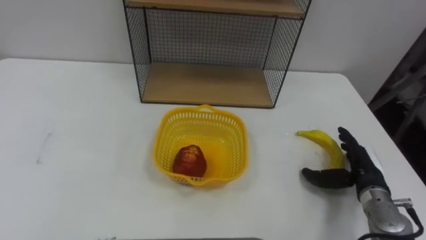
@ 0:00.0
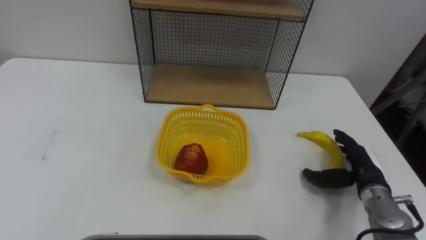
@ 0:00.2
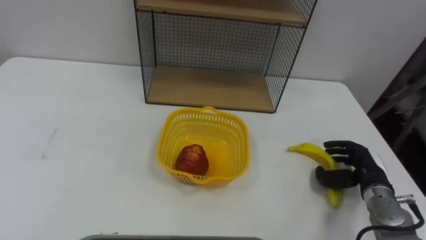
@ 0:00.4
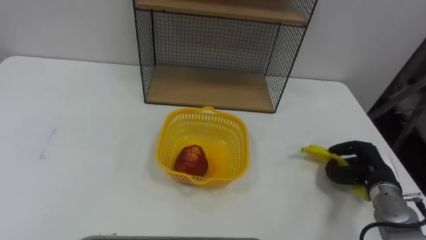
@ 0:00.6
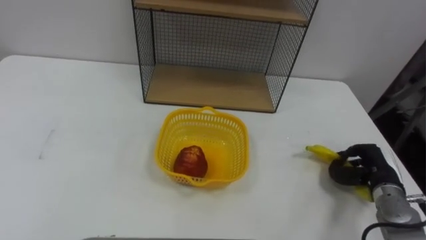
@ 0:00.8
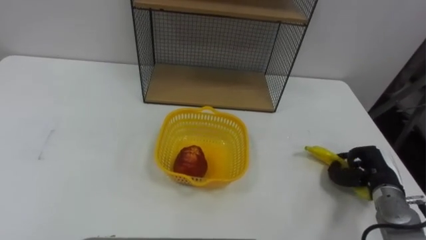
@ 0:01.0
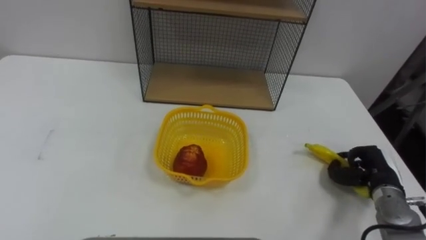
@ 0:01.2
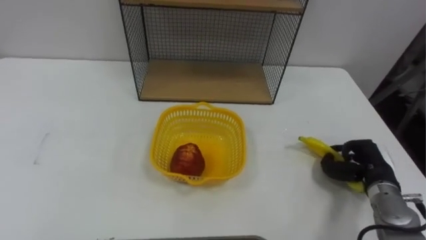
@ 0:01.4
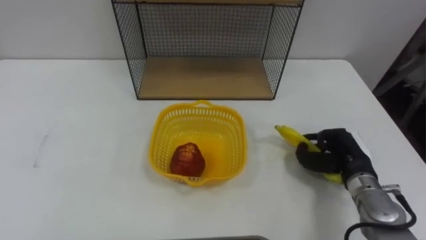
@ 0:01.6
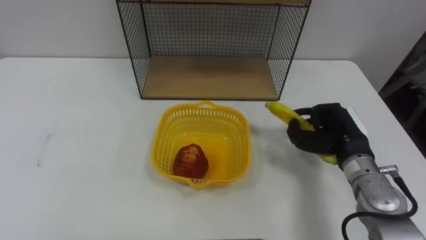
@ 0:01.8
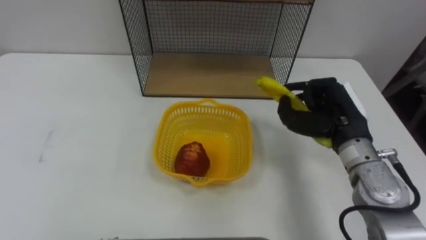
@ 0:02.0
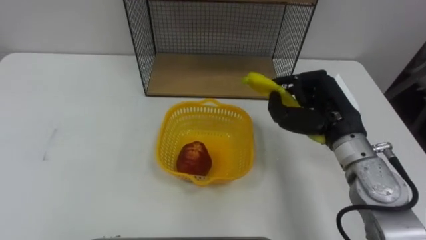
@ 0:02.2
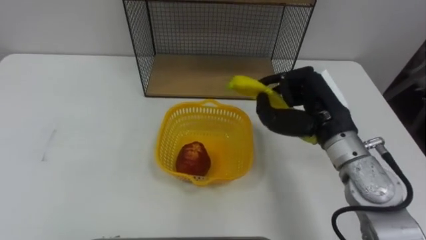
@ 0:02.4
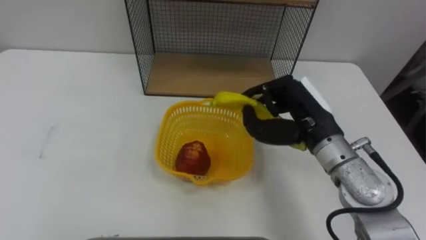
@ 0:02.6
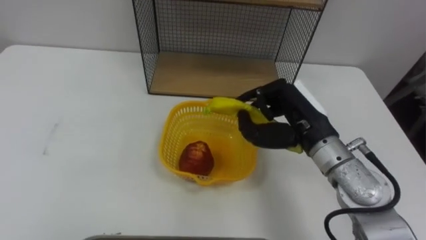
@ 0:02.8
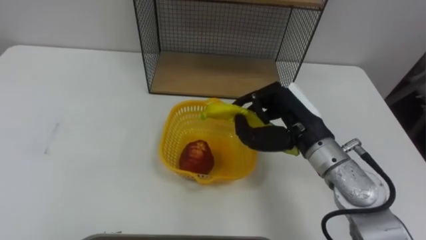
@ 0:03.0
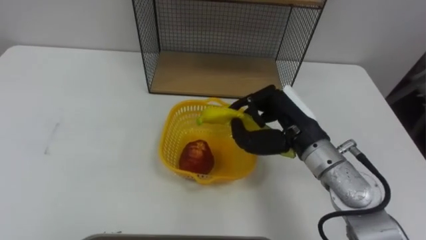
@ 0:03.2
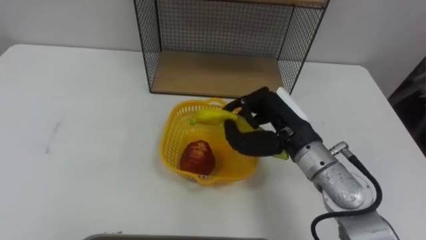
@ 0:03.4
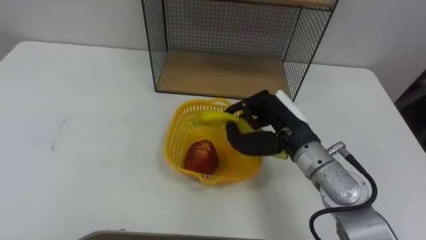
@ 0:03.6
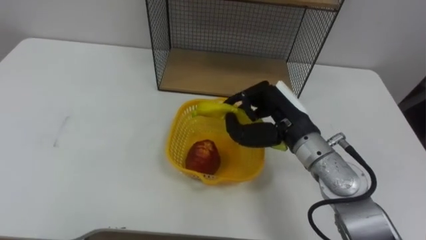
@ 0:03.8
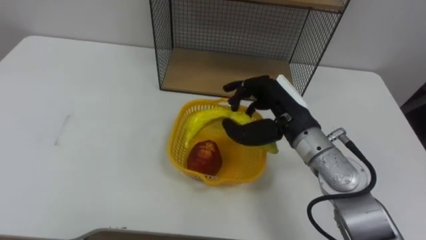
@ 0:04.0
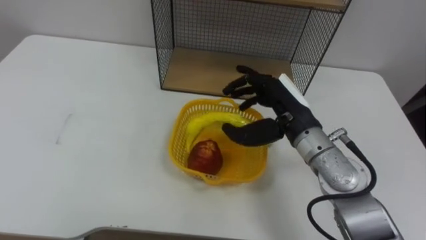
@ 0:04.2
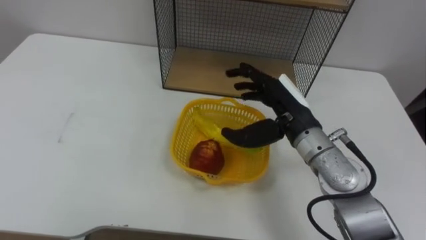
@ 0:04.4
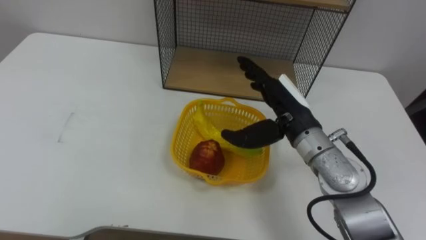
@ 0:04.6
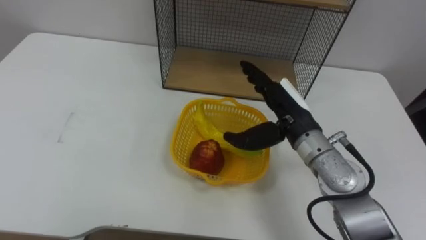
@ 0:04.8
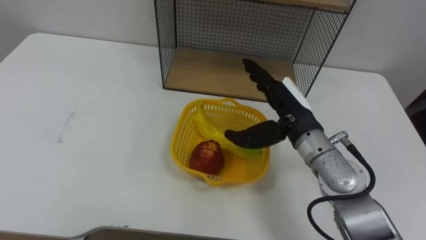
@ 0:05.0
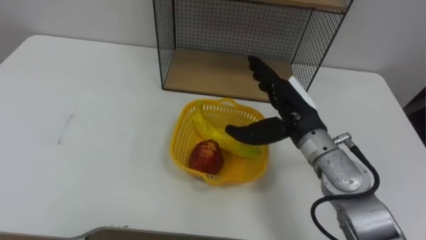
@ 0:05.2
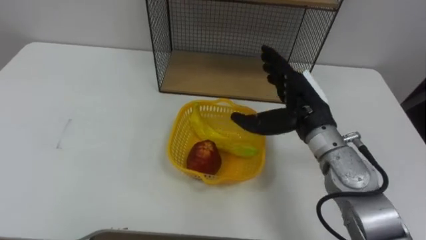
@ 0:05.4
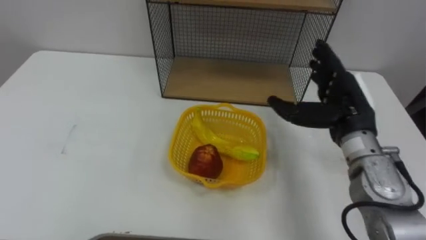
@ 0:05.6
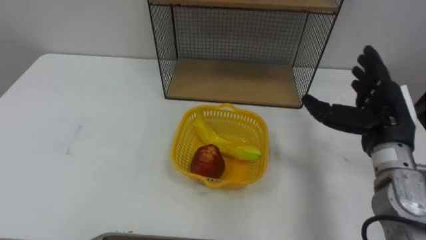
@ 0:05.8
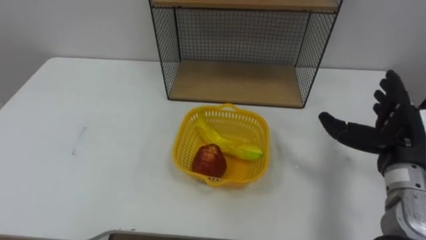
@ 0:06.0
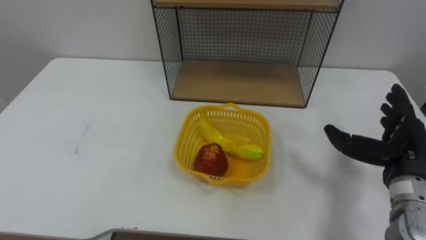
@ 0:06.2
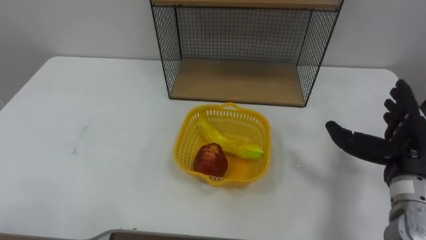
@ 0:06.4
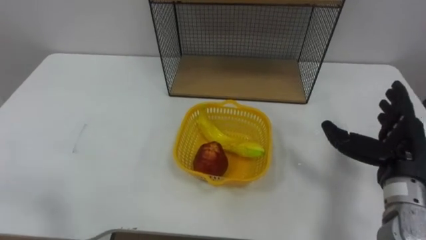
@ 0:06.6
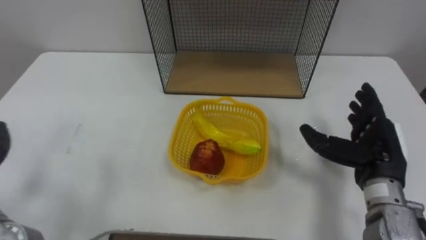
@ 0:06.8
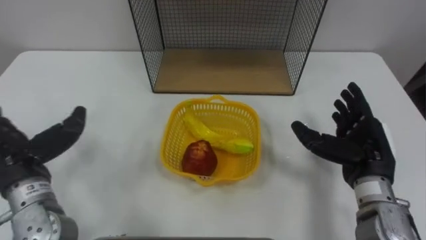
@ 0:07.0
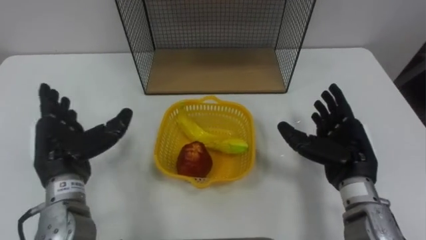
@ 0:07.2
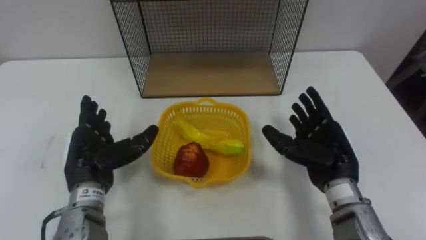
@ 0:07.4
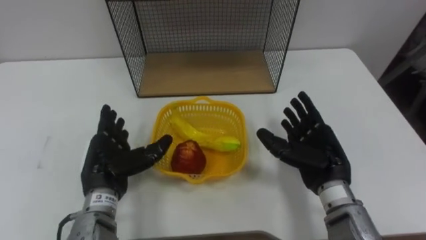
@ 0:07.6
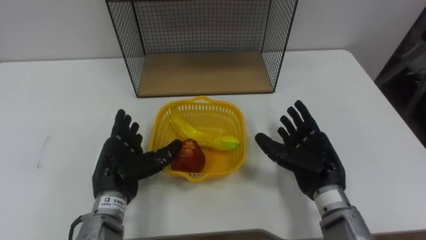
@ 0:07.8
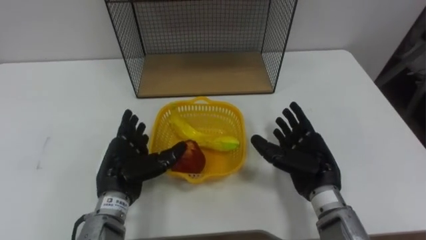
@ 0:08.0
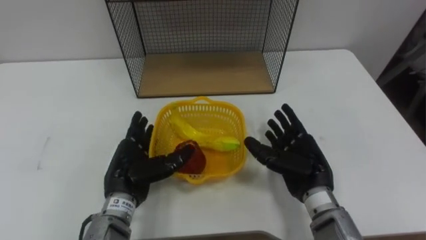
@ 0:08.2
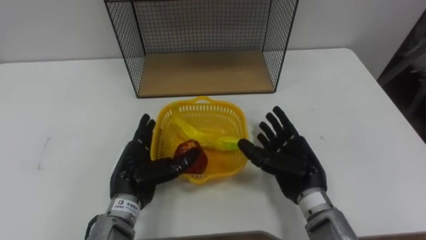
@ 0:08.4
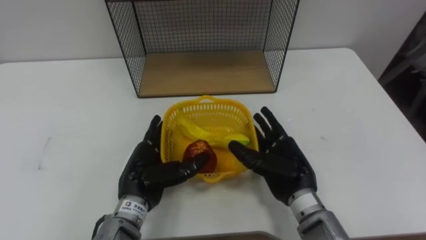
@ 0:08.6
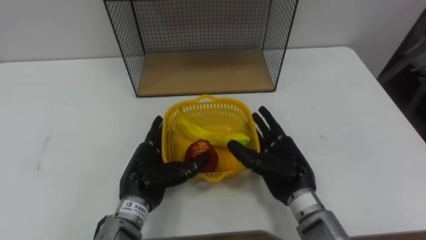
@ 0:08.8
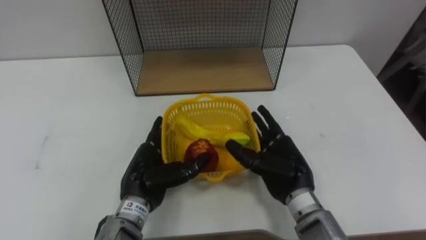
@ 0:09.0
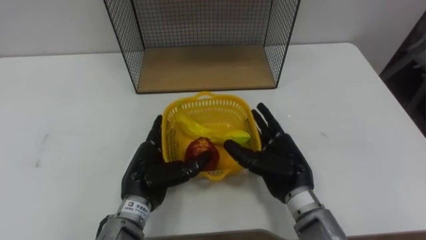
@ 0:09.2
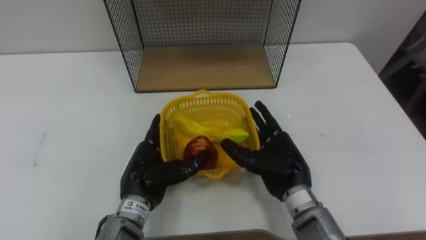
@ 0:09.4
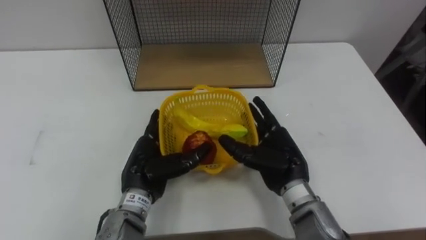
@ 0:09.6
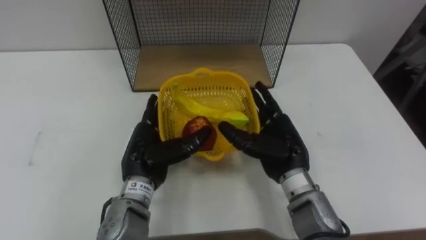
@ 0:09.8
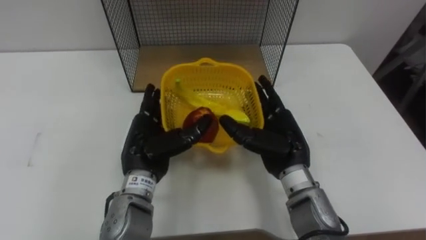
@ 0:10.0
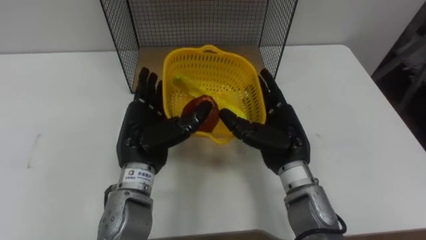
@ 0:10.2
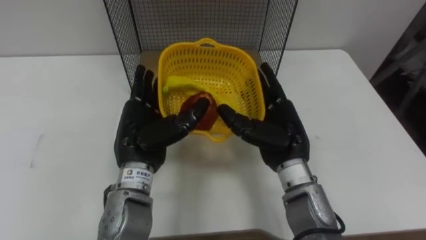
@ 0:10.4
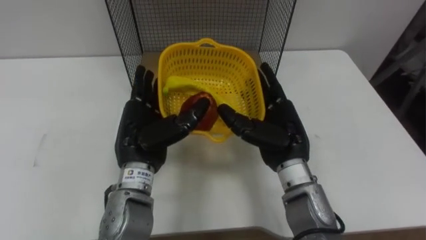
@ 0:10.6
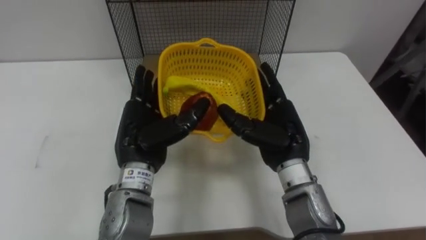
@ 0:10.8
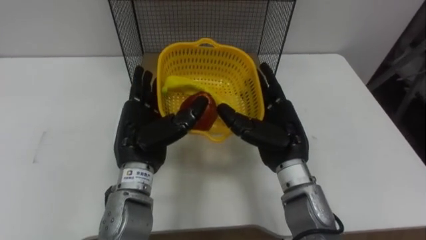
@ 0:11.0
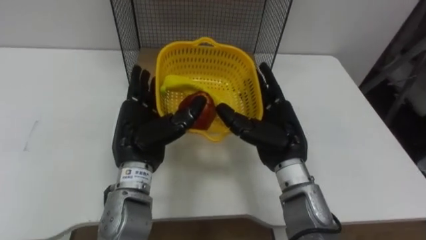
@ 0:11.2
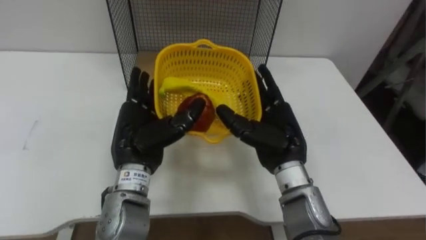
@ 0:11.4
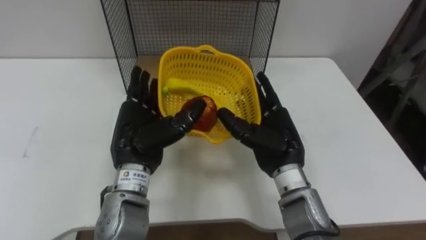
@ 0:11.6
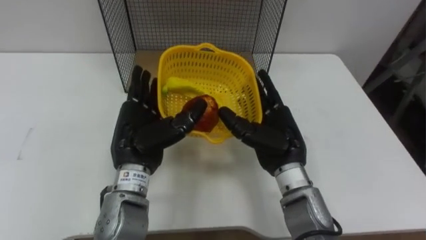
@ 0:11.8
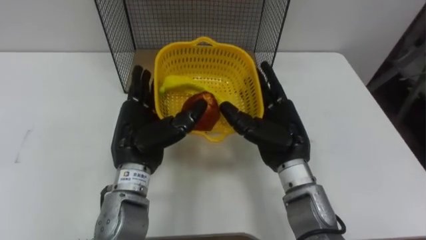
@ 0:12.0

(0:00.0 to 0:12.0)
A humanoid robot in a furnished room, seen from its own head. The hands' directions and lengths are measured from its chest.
Task of the whole recording: Put the fruit on the table into the basket, then place the basket on the shelf.
0:00.0 - 0:01.6: The right hand shifts by roughly 5 cm, and closes.
0:01.6 - 0:03.0: The right hand heads to the left and upward, covering approximately 15 cm.
0:03.0 - 0:04.4: The right hand opens.
0:04.4 - 0:06.0: The right hand is displaced to the right by roughly 15 cm.
0:06.0 - 0:07.6: The right hand heads to the left and downward, covering approximately 10 cm.
0:07.6 - 0:09.0: The right hand moves to the left, about 5 cm. Meanwhile the left hand goes some 5 cm to the right.
0:09.0 - 0:10.4: The two hands go approximately 5 cm upward.

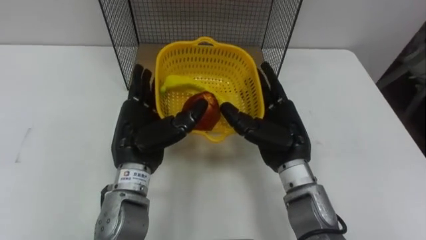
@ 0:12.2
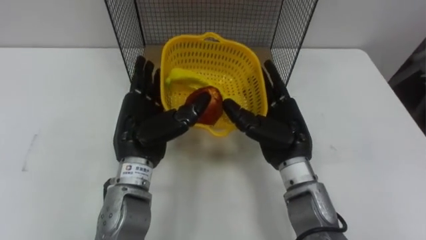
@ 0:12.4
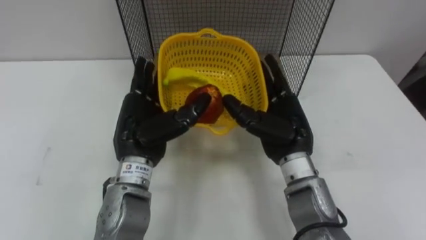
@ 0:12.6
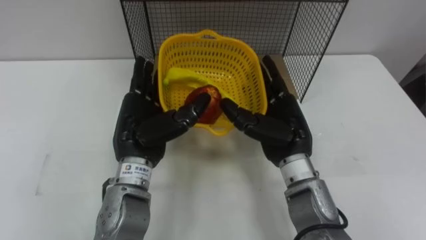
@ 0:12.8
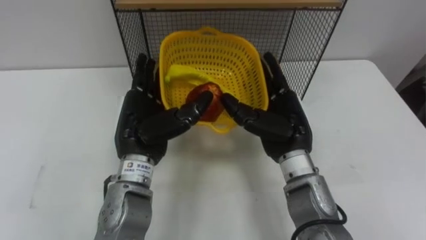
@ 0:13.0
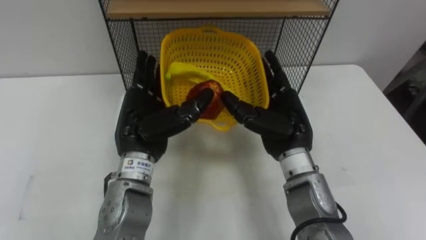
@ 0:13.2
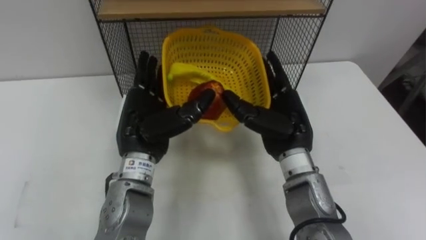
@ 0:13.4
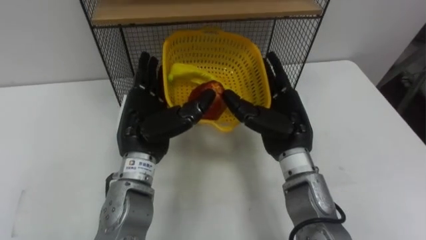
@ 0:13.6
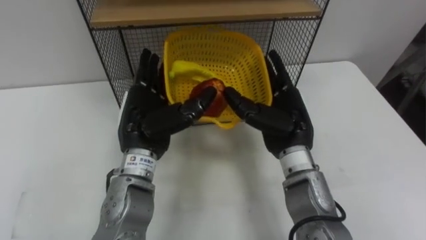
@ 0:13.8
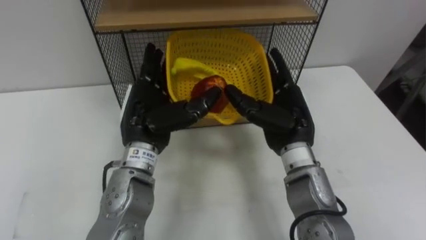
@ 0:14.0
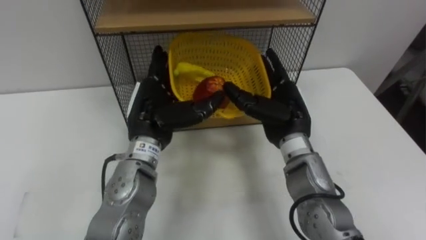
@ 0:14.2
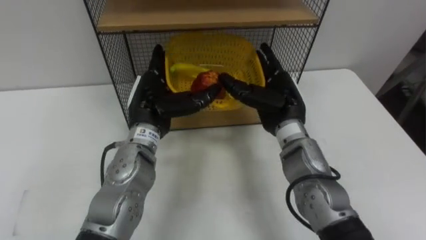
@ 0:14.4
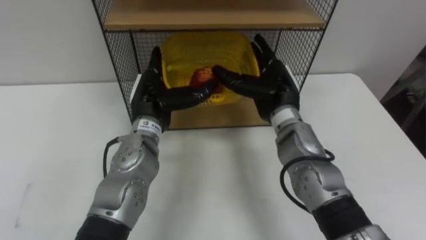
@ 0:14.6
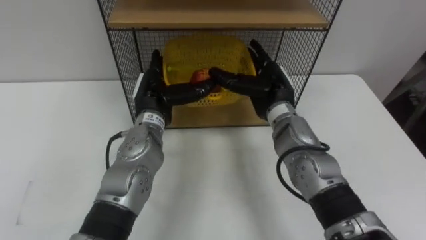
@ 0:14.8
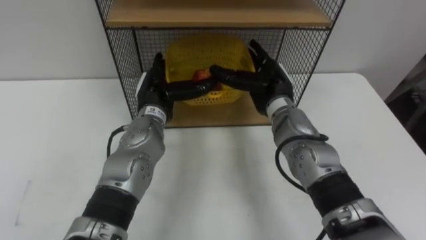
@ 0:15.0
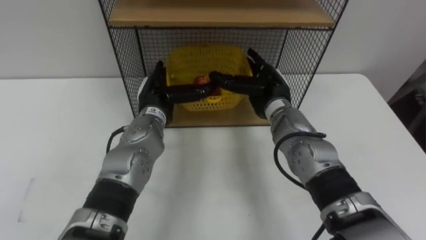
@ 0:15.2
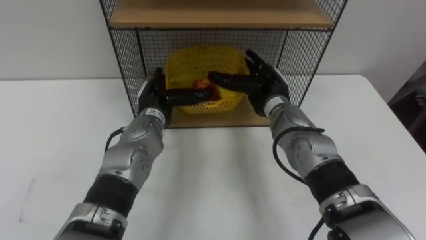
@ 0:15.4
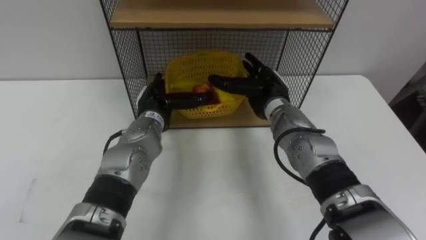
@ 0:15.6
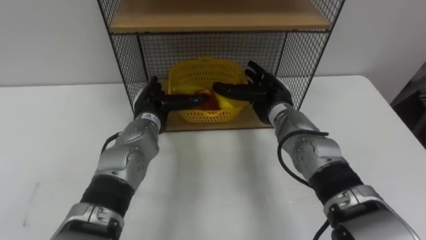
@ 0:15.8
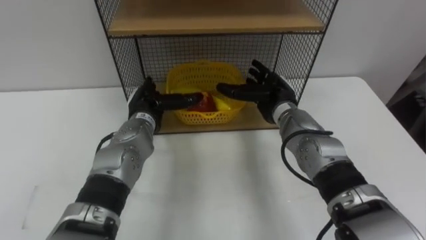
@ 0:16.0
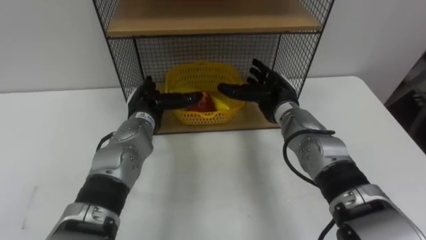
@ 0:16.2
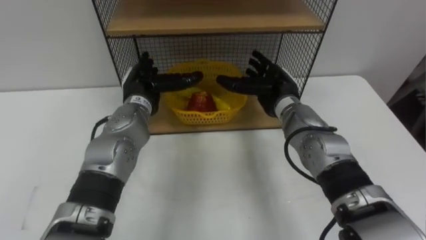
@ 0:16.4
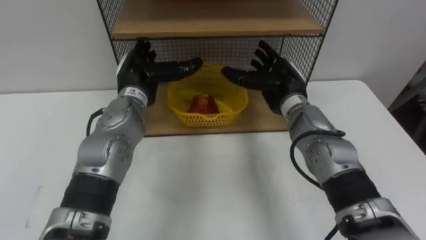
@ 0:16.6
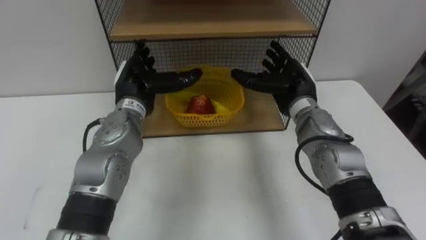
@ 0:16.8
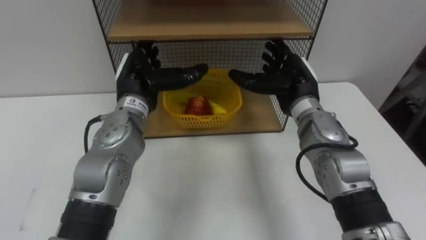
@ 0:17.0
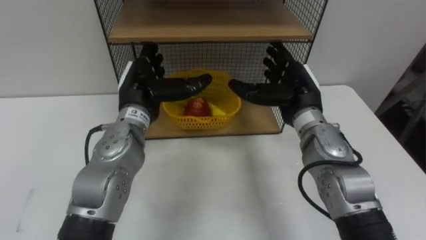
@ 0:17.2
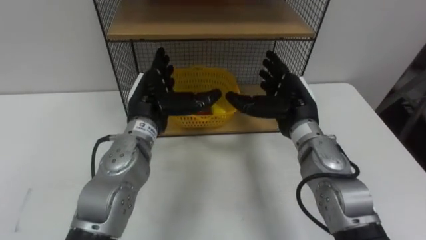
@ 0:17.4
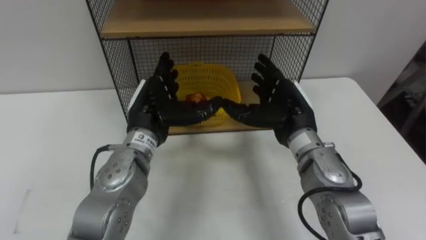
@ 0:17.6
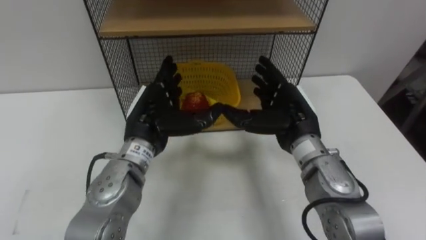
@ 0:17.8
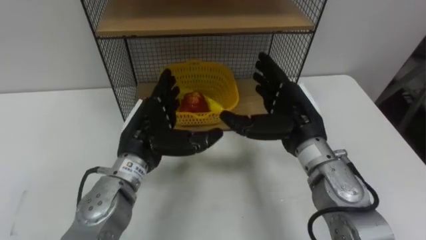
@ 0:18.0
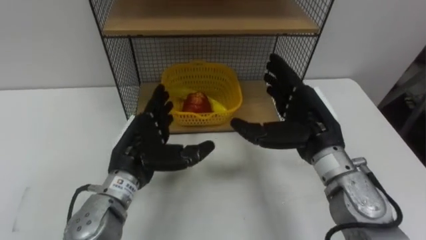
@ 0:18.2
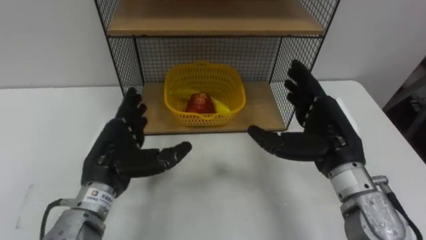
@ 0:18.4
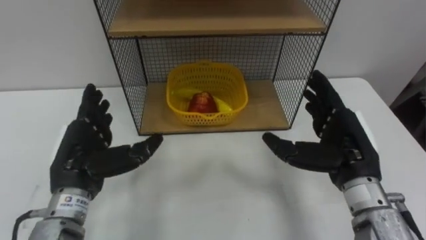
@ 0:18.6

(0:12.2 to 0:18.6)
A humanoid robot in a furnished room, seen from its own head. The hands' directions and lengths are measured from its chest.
Task of the whole recording: Put the fruit on the table into the basket, then place the basket on the shelf.
0:13.8 - 0:15.4: The left hand travels forward and downward by approximately 10 cm. Meanwhile the right hand is displaced forward by approximately 10 cm.
0:15.4 - 0:17.0: The right hand shifts by some 5 cm, while the left hand goes some 5 cm upward.
0:17.0 - 0:18.6: The right hand is displaced backward and to the right by approximately 15 cm. Meanwhile the left hand shifts roughly 15 cm backward and to the left.
